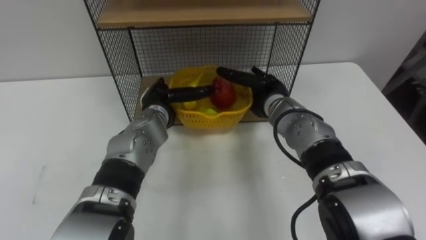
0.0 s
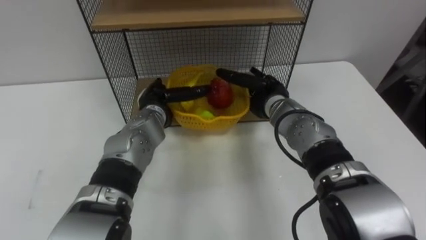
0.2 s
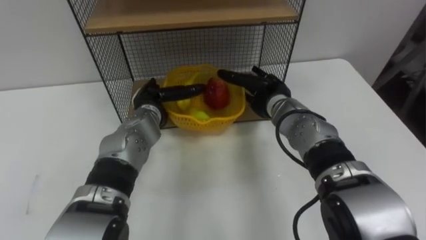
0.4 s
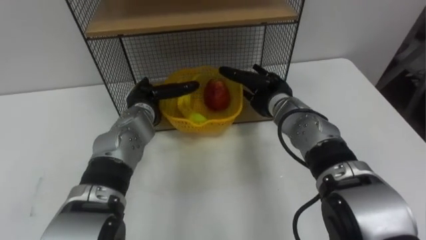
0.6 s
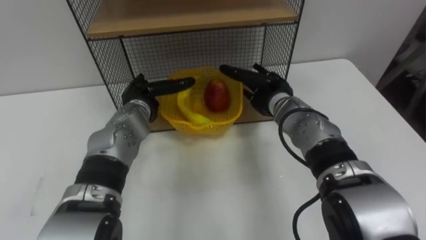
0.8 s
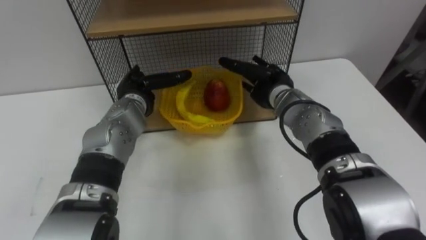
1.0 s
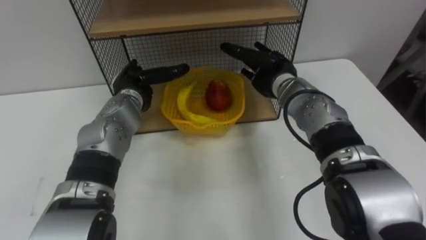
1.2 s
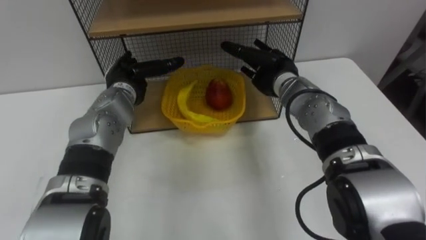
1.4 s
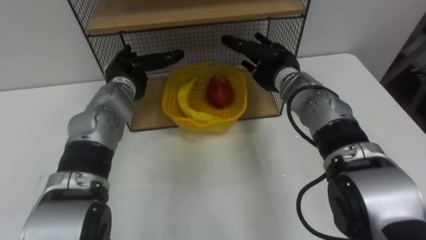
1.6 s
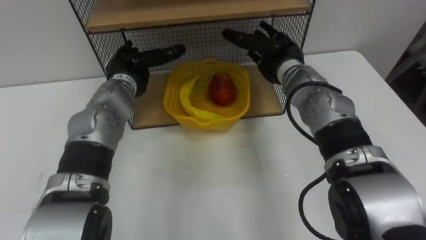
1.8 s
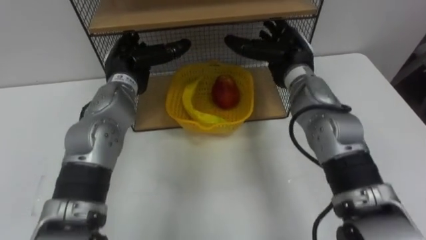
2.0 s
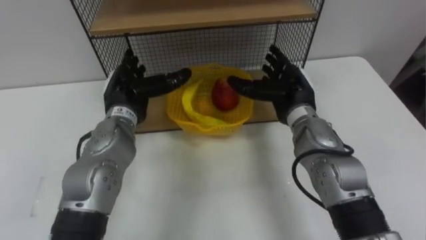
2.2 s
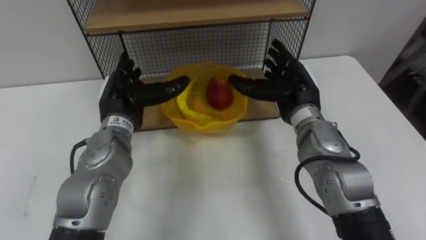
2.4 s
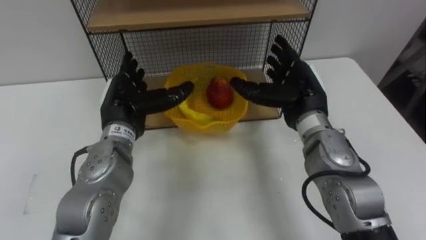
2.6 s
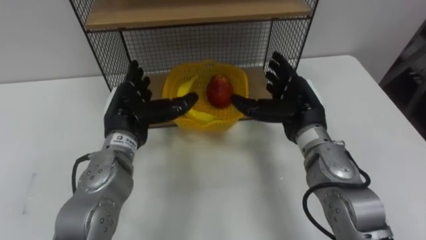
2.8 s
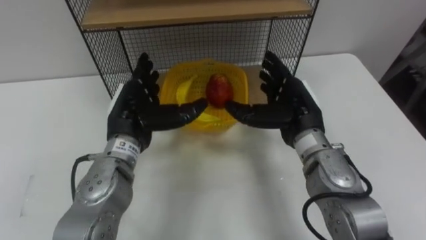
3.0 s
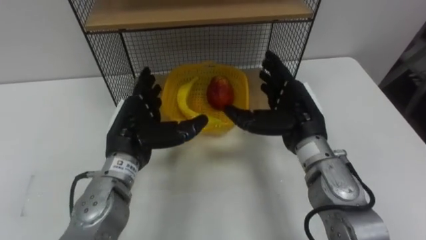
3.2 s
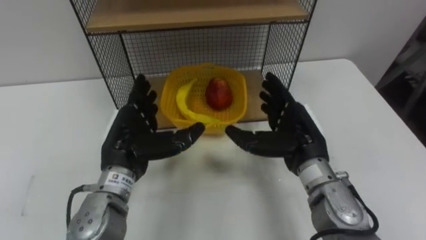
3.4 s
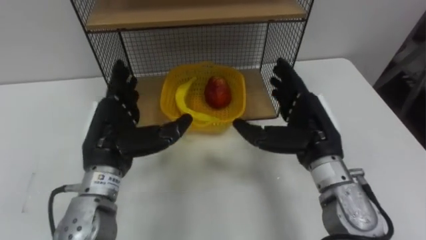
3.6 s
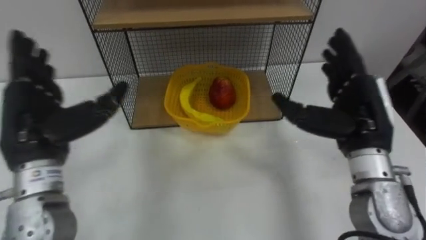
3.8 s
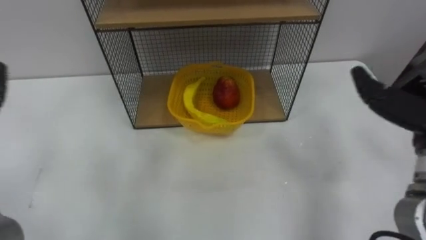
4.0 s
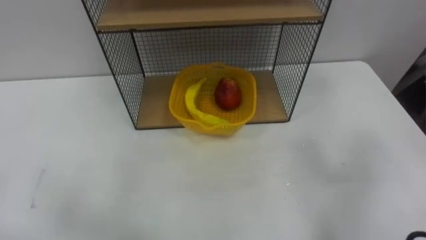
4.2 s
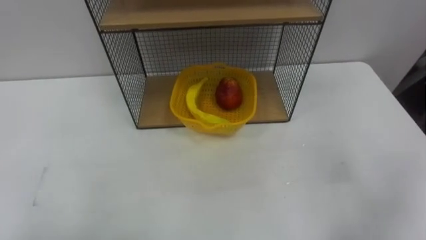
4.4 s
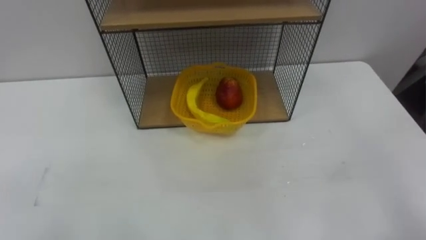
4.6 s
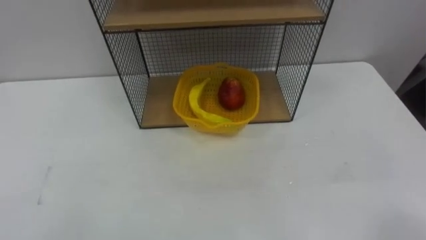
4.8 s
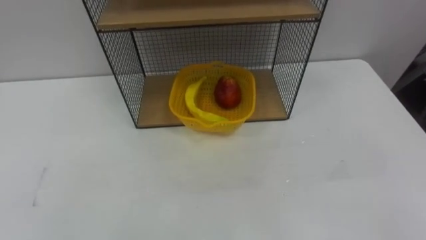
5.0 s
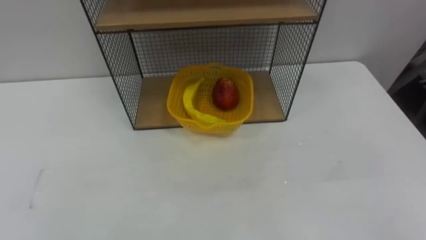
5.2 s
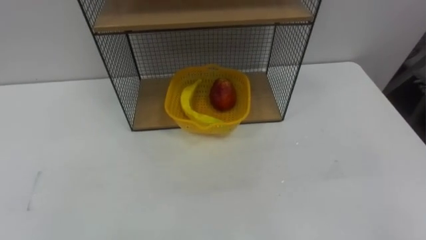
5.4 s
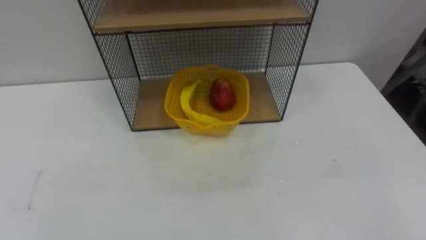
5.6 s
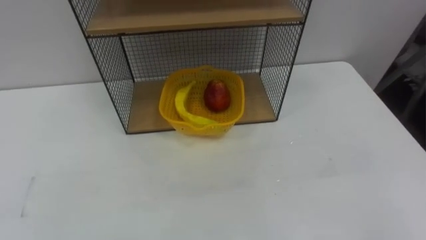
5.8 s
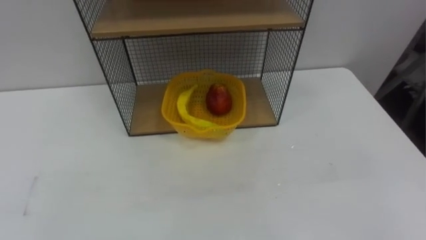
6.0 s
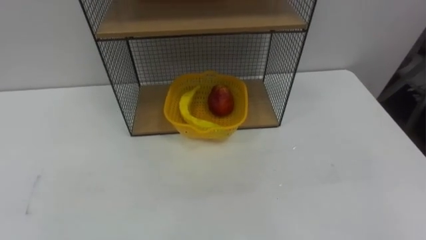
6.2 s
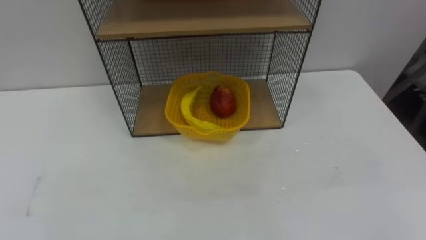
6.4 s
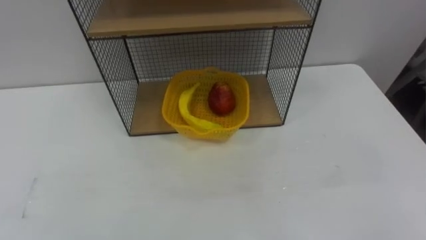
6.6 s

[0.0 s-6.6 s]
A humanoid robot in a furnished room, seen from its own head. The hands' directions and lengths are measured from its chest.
Task of the whole recording: Put the fruit on the table into the basket, then place the basket on the shelf.
0.0 to 1.6 s: The left hand is displaced to the left and upward by some 10 cm. The right hand goes about 5 cm upward.
1.6 to 3.2 s: Both hands move backward, approximately 15 cm.

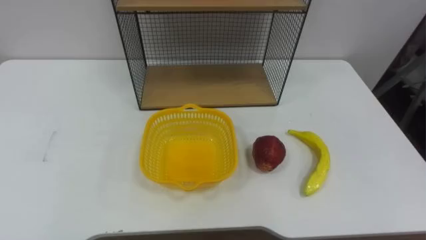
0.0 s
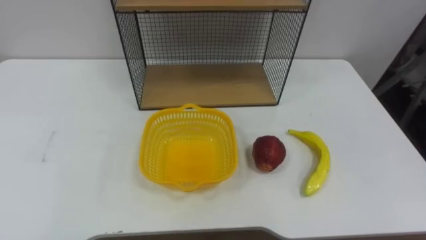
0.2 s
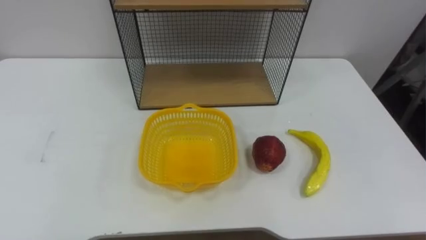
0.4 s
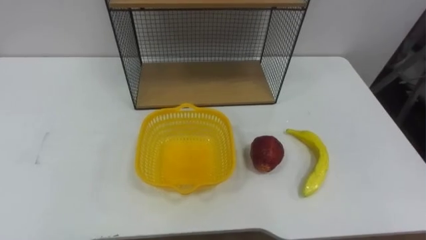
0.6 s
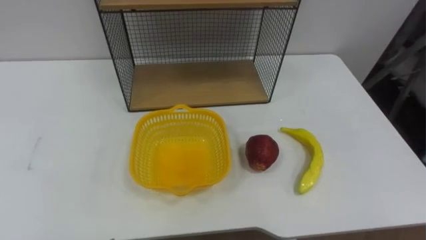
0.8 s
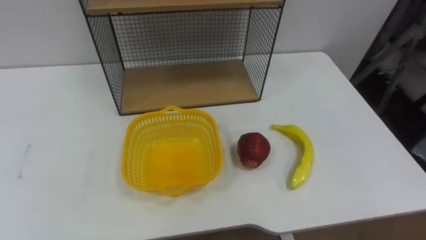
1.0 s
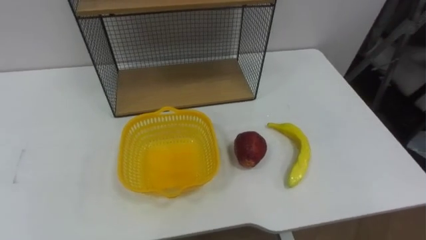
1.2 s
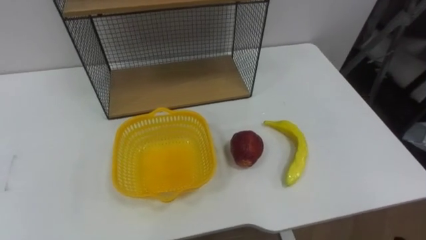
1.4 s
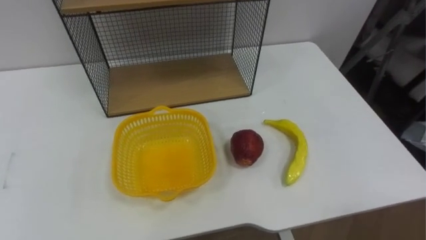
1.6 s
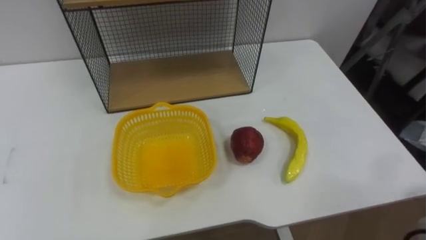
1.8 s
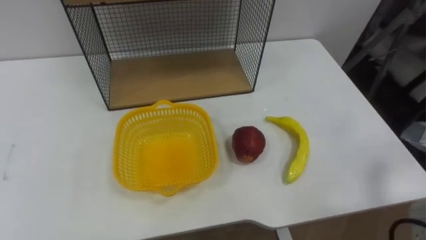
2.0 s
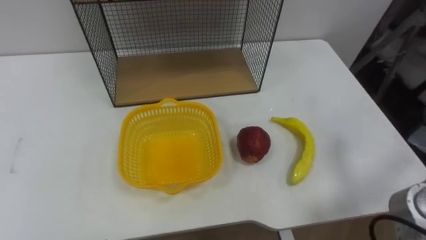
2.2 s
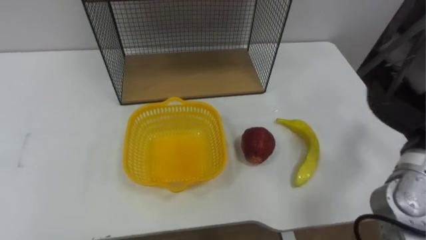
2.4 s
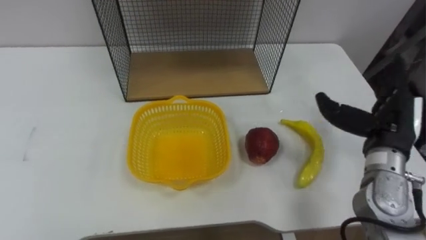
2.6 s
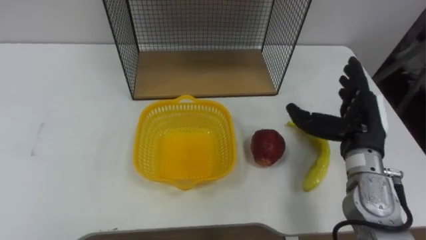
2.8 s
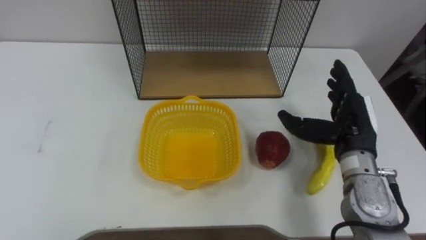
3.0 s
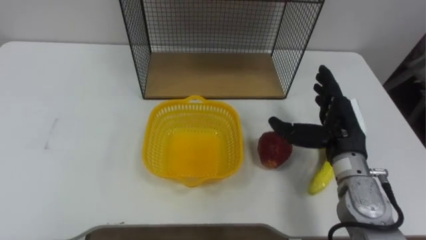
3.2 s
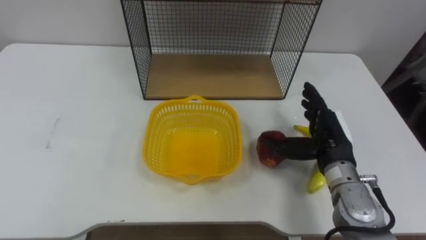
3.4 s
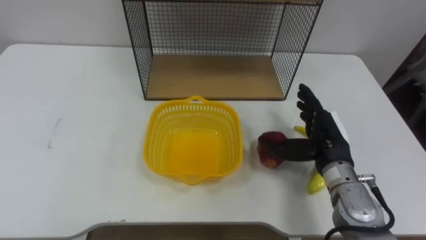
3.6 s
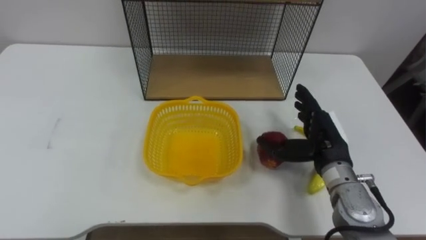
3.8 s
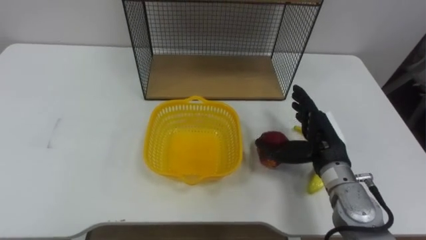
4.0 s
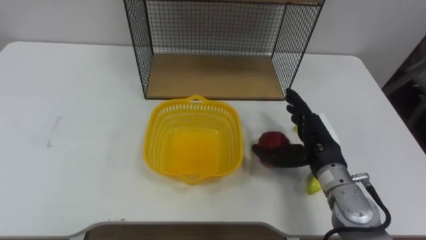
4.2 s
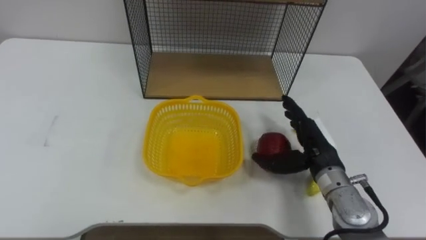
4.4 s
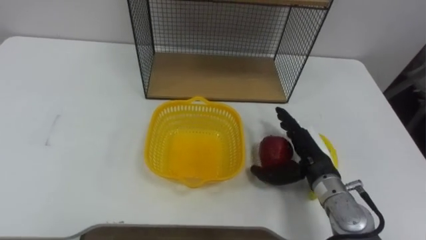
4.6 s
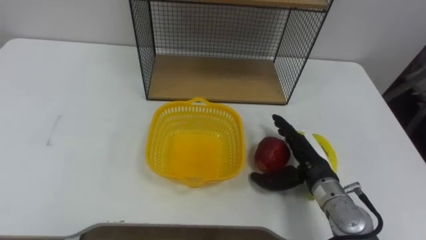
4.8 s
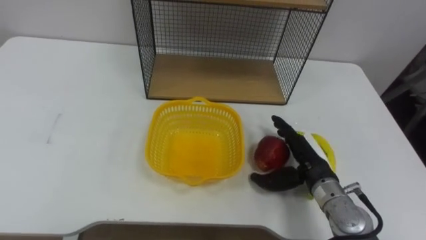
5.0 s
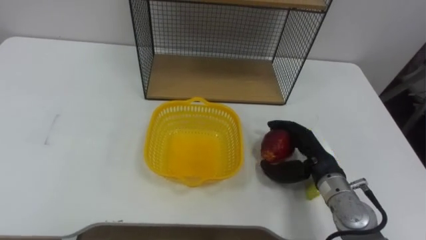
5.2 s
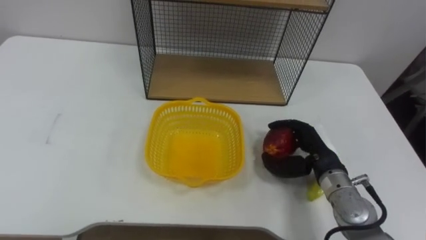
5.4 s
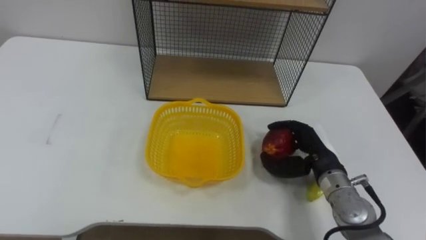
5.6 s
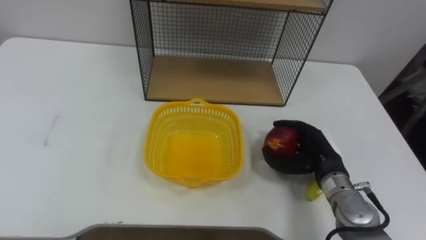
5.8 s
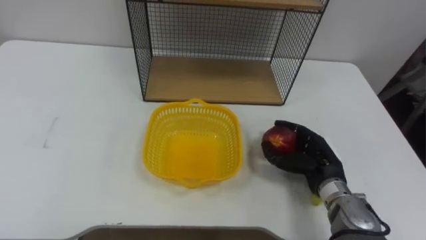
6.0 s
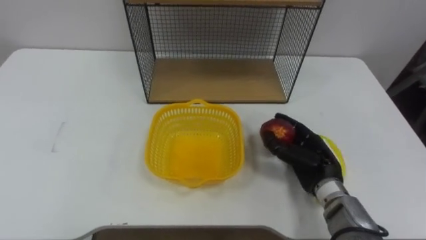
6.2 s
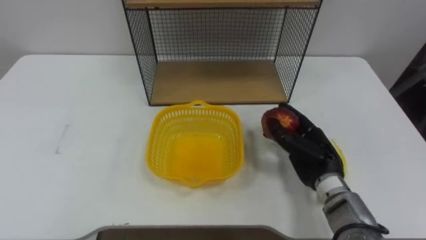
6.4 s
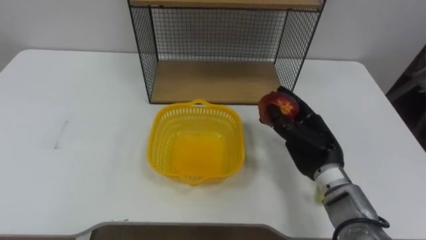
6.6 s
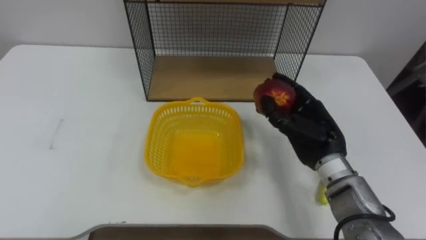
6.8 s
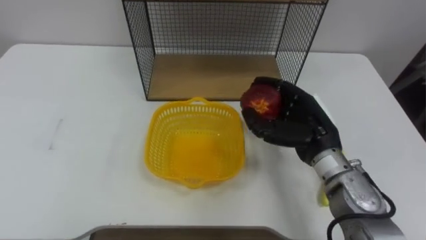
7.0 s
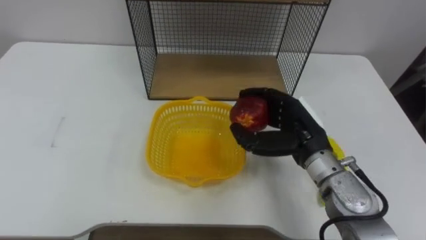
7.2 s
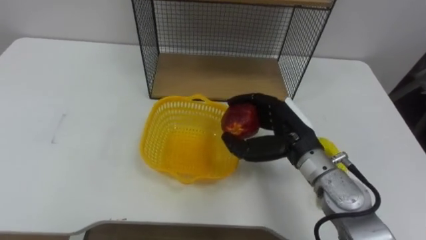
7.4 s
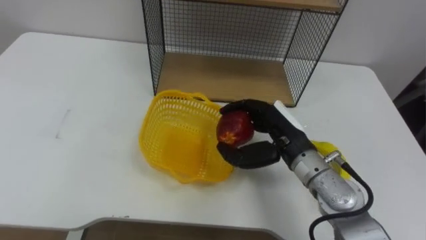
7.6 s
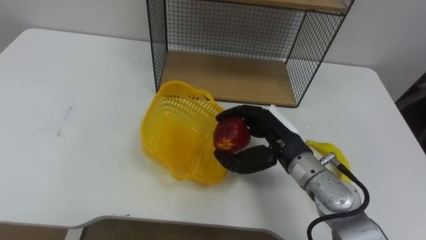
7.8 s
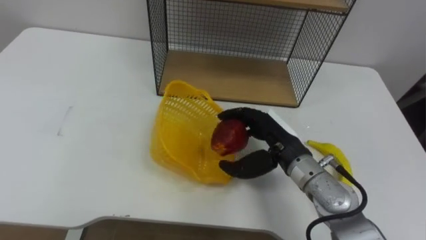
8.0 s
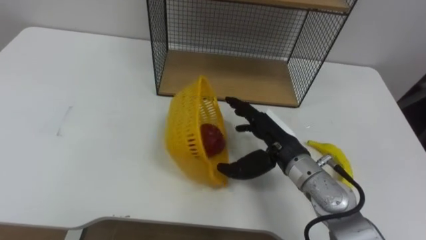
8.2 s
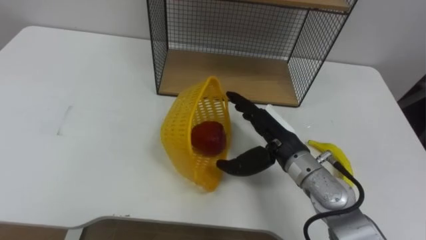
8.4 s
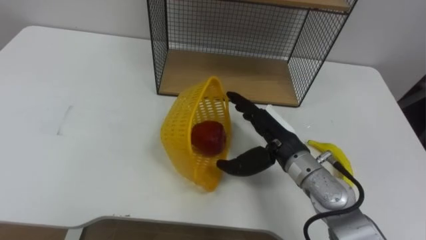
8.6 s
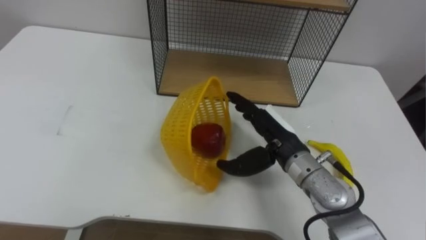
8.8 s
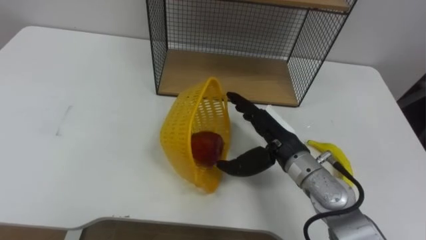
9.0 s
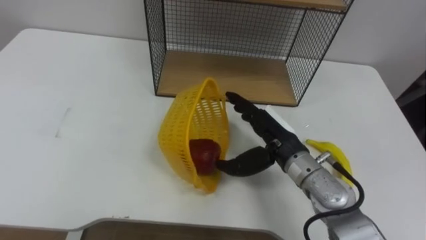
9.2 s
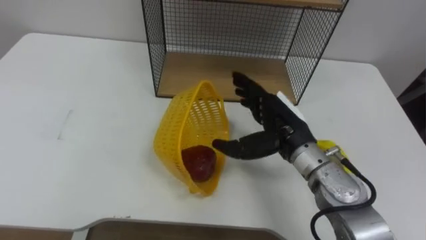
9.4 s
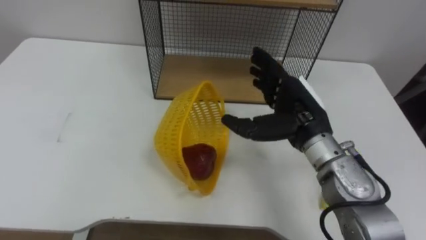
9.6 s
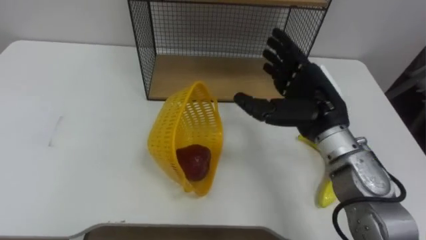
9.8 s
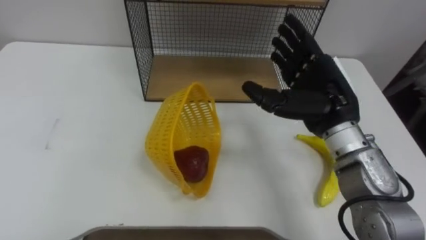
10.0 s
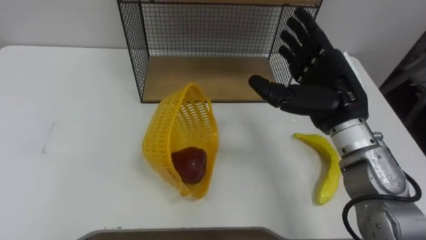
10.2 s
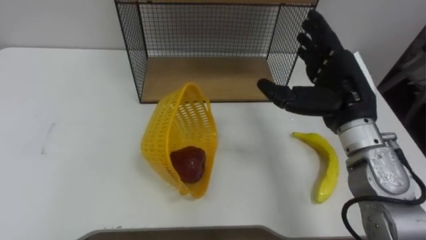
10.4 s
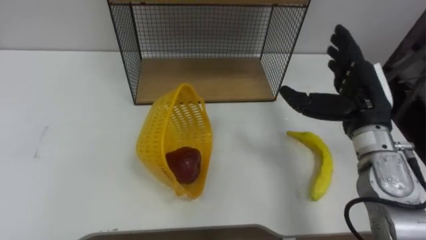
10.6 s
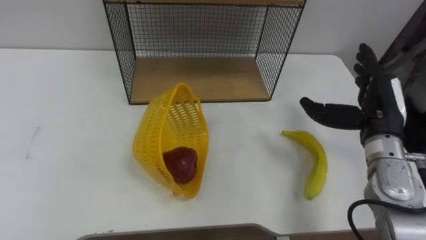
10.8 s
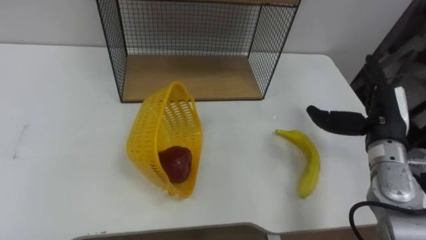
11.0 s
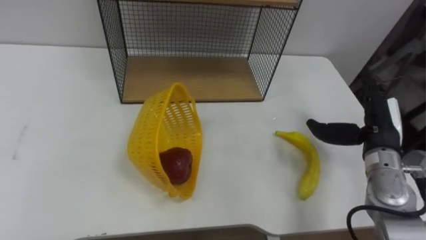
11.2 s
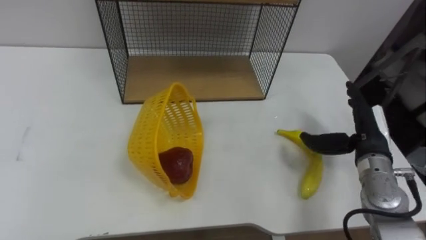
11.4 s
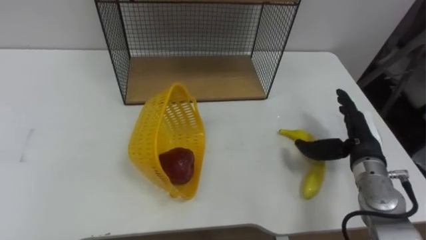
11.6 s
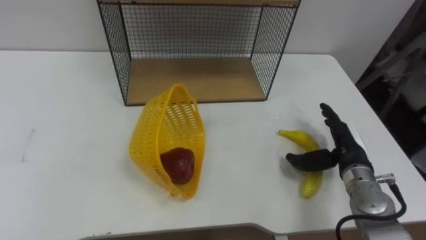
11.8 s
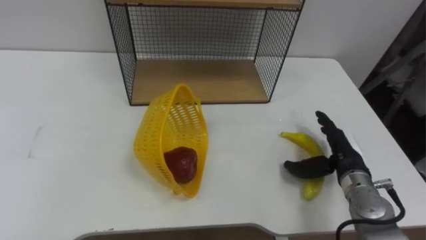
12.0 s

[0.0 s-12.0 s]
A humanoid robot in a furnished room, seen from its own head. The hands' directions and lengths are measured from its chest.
Task of the whole recording: Put the fruit on the table into the basket, then place the basket on the shelf.
3.0 to 4.4 s: The right hand goes some 5 cm downward.
4.4 to 6.0 s: The right hand closes.
6.0 to 7.6 s: The right hand shifts some 10 cm upward and to the left.
7.6 to 9.0 s: The right hand opens its fingers.
9.0 to 10.4 s: The right hand shifts approximately 15 cm upward and to the right.
10.4 to 12.0 s: The right hand shifts approximately 15 cm downward.
